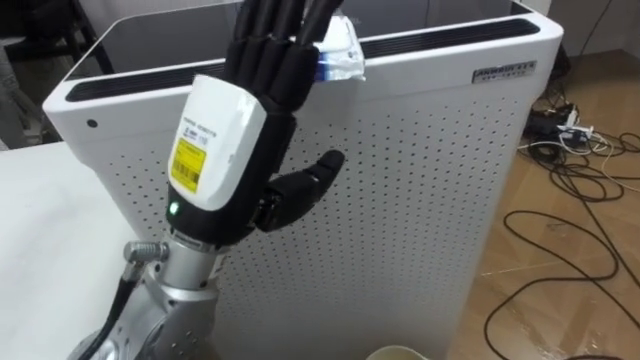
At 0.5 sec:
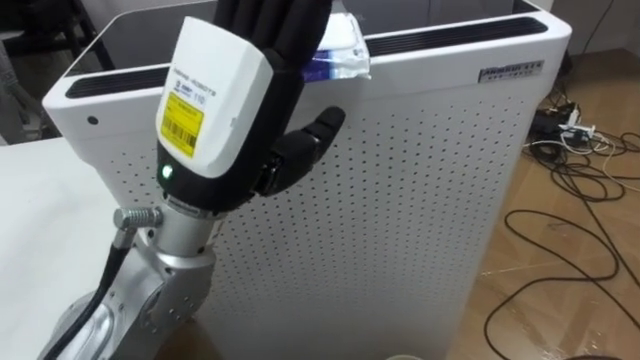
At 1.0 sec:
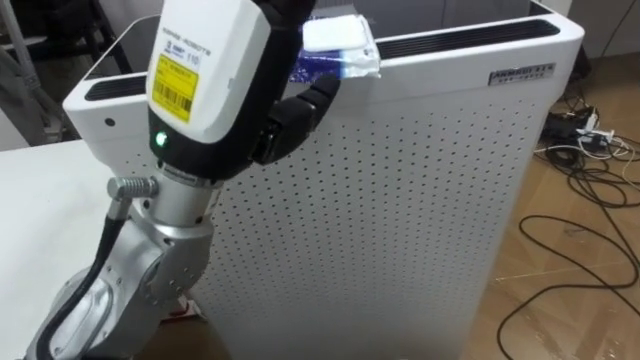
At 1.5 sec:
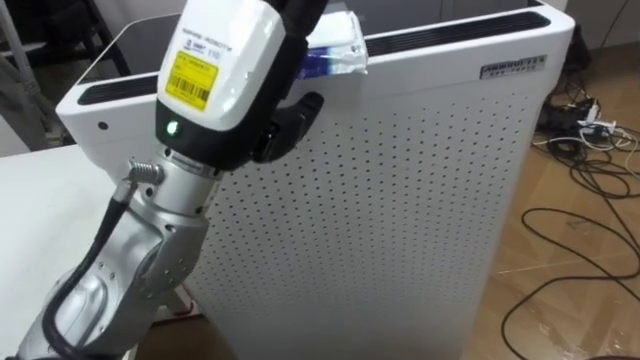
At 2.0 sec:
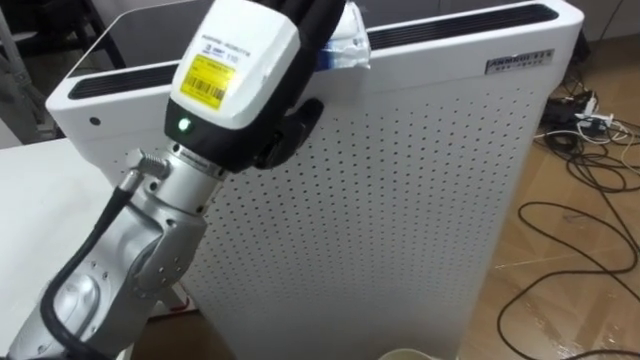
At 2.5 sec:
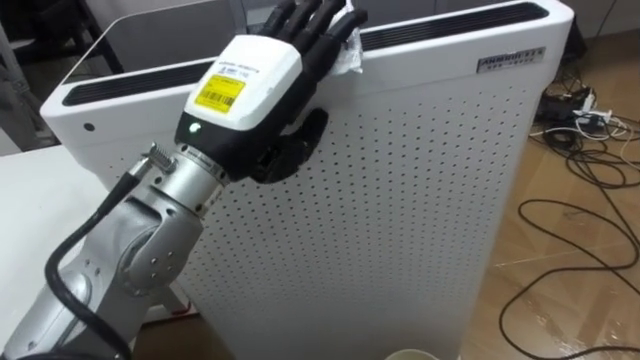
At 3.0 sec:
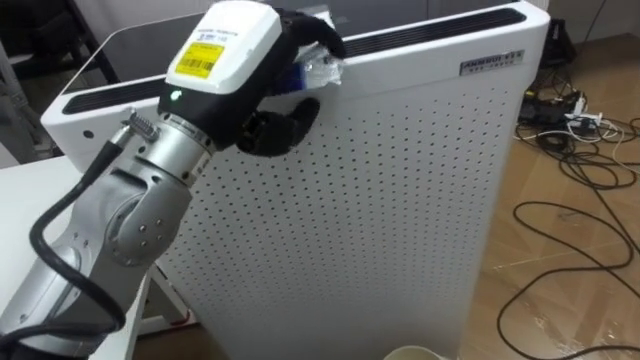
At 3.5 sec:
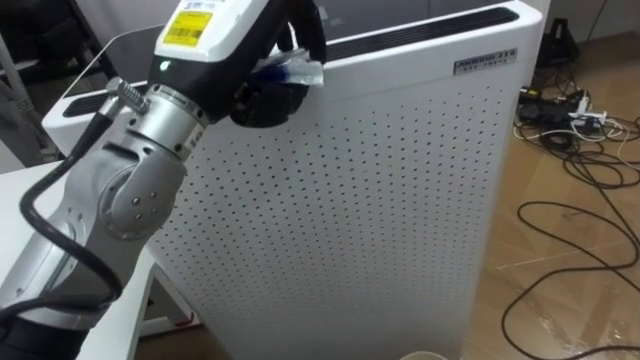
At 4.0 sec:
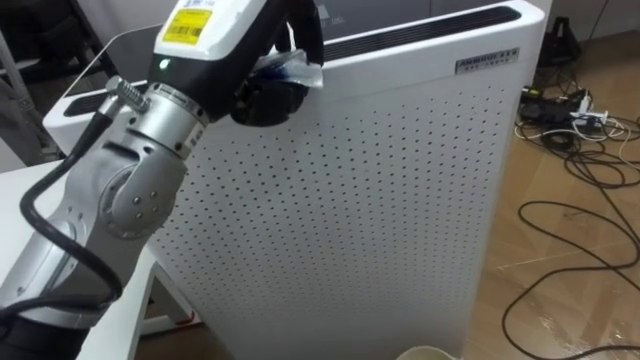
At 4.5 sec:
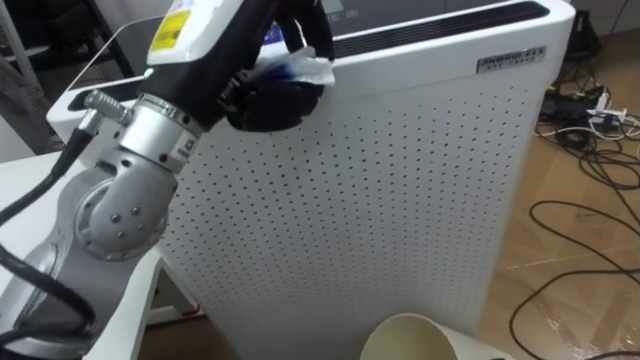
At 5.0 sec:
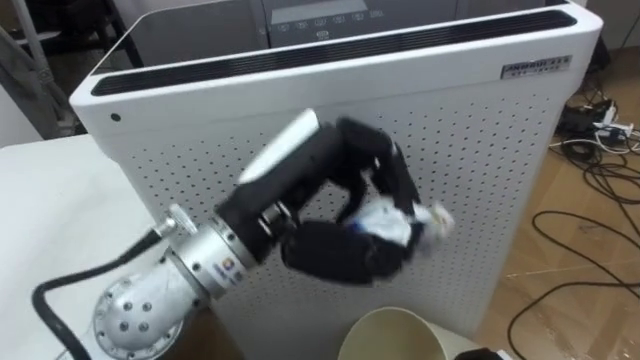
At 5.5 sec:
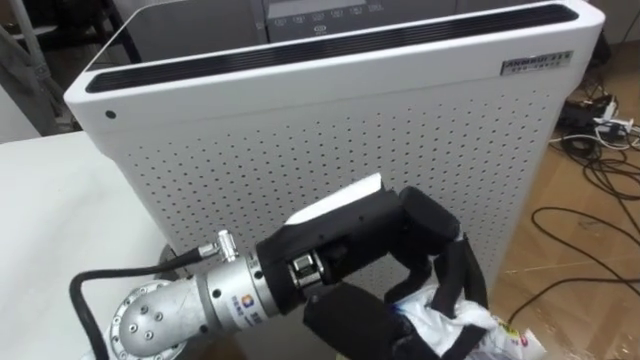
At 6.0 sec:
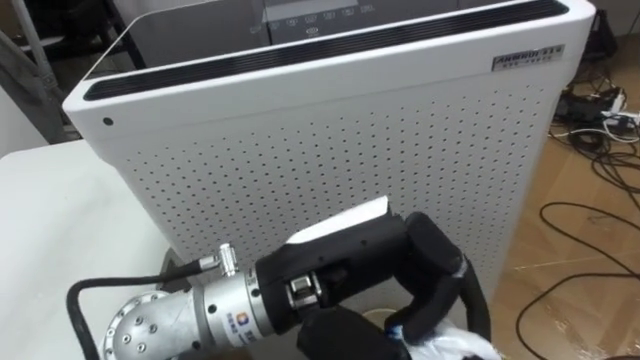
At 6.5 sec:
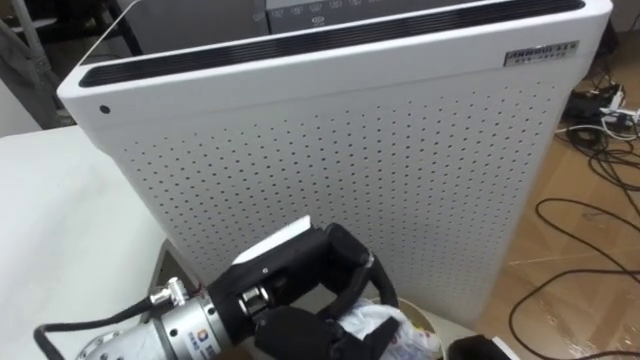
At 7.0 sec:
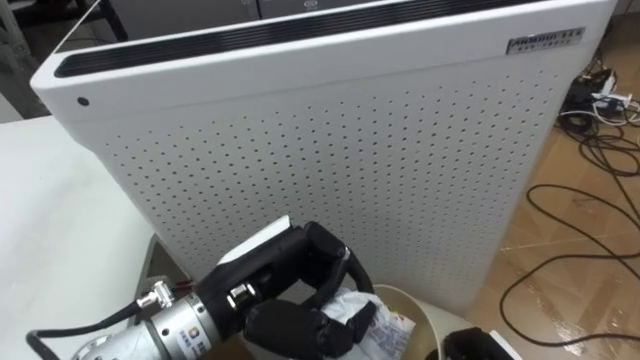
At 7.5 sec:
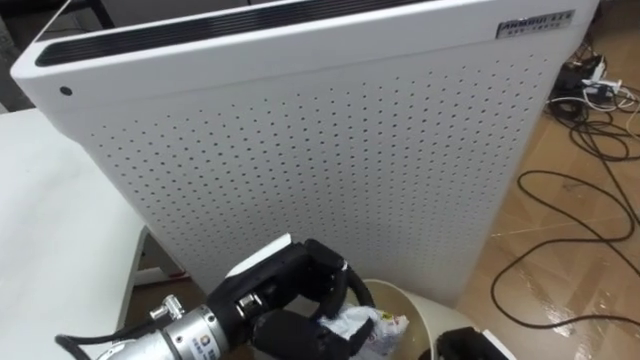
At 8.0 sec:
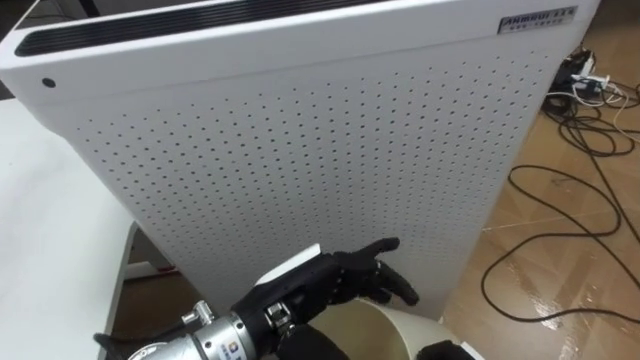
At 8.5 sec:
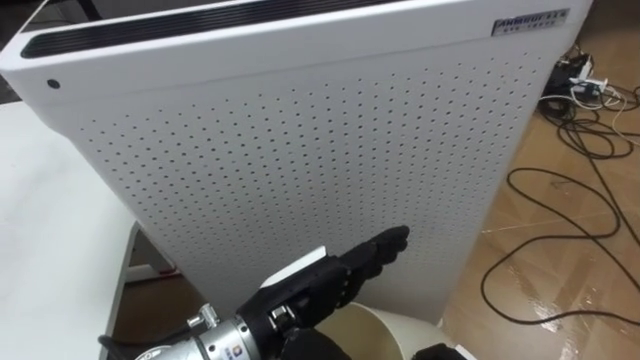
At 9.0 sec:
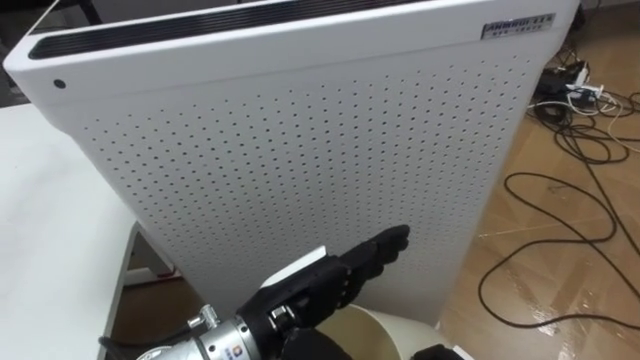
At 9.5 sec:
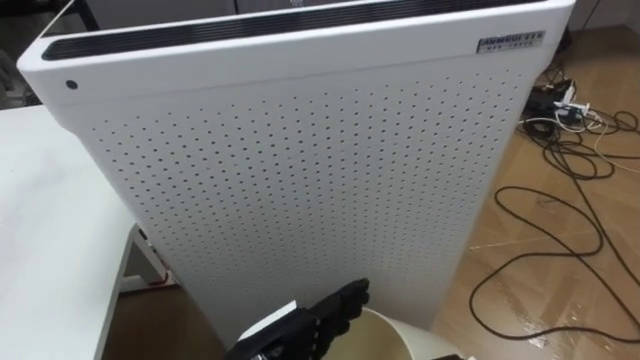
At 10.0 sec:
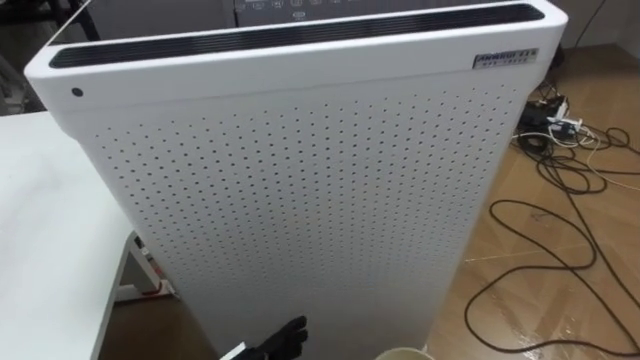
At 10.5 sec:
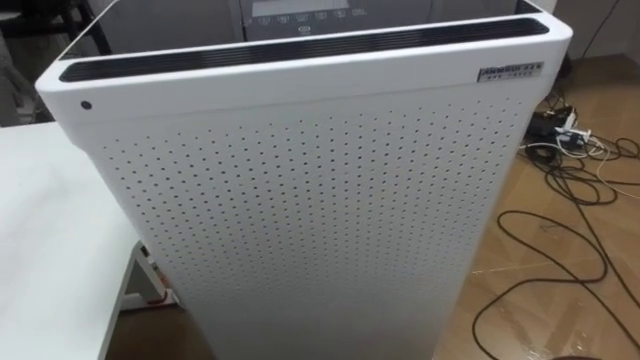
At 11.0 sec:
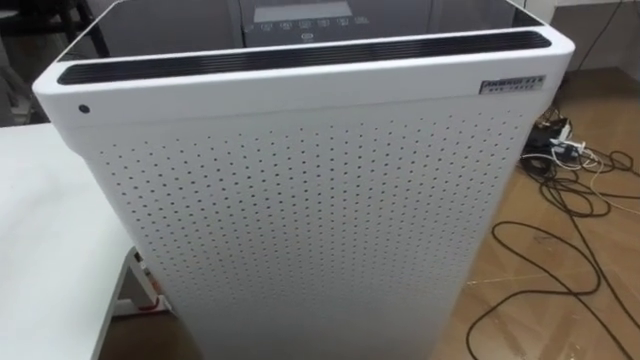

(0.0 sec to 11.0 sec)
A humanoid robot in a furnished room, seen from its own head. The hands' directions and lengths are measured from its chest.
Task of the whole recording: Pick up the light blue package, the candy box, and the dark blue package separately, and put them into the trash can held in your right hand.
0.0 sec - 2.0 sec: The left hand changes place by some 5 cm.
2.0 sec - 3.5 sec: The left hand closes its fingers.
3.5 sec - 5.5 sec: The left hand shifts roughly 15 cm backward, downward and to the right.
5.5 sec - 7.5 sec: The left hand heads downward and to the left, covering some 15 cm.
7.5 sec - 9.0 sec: The left hand opens its fingers.

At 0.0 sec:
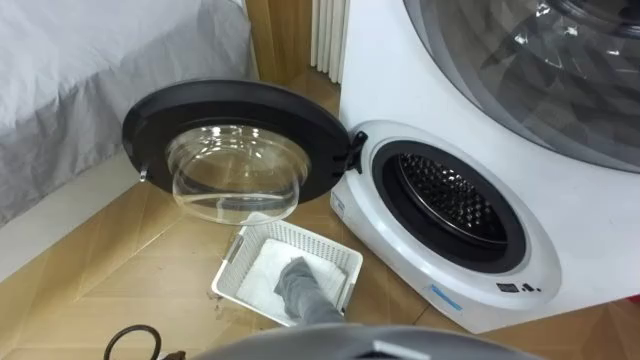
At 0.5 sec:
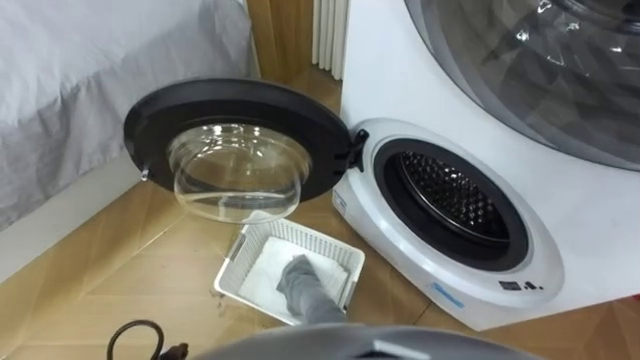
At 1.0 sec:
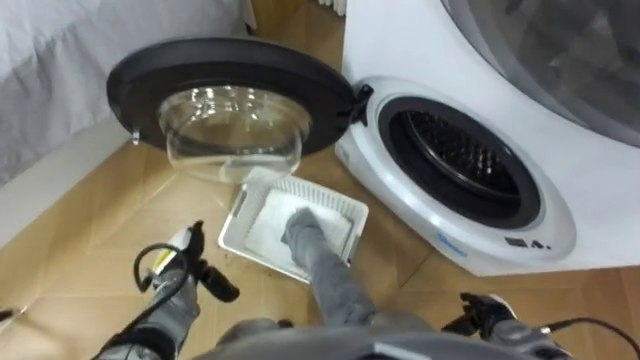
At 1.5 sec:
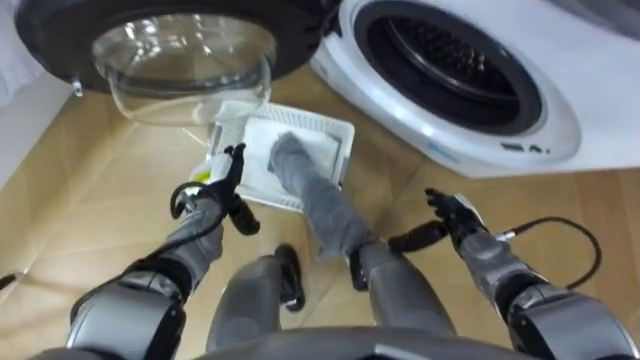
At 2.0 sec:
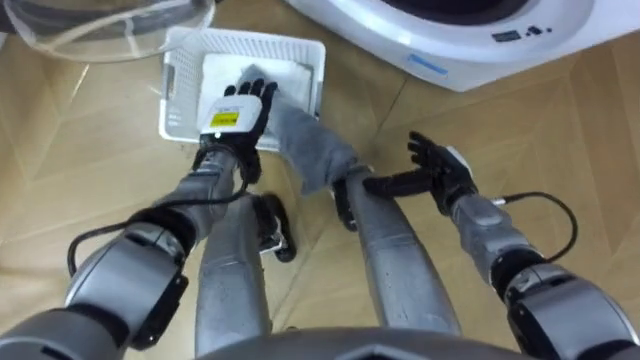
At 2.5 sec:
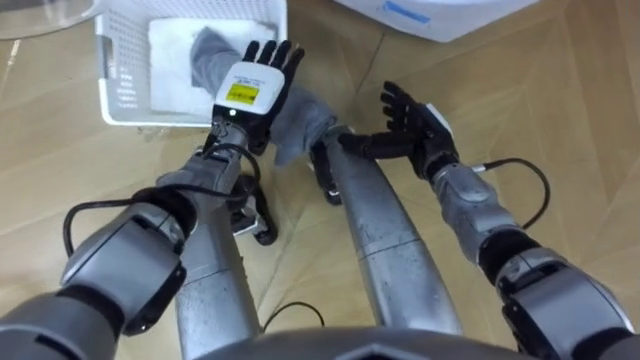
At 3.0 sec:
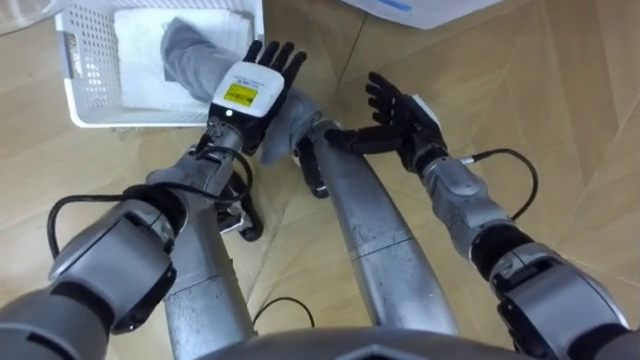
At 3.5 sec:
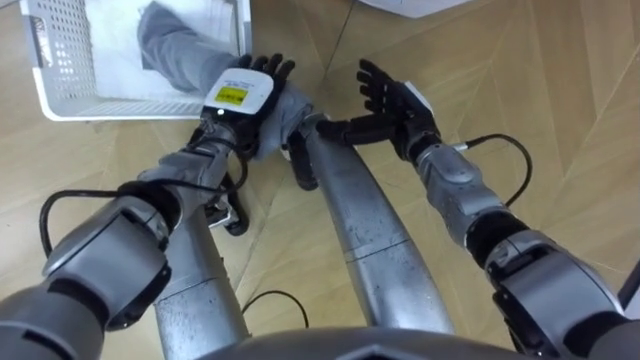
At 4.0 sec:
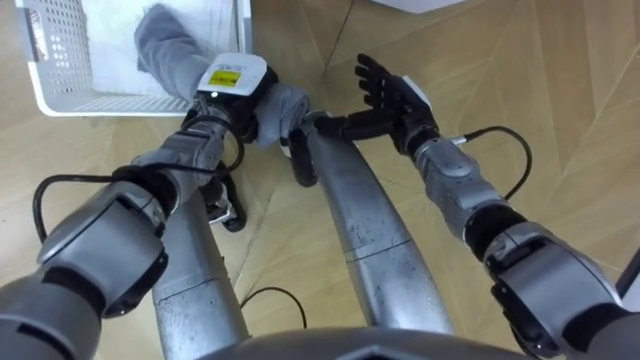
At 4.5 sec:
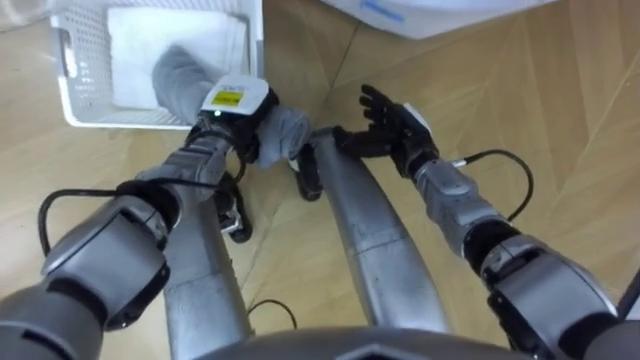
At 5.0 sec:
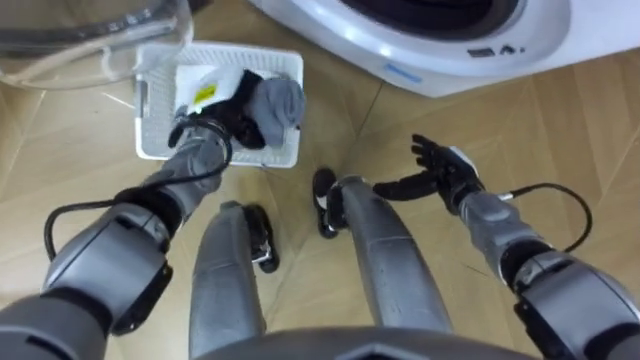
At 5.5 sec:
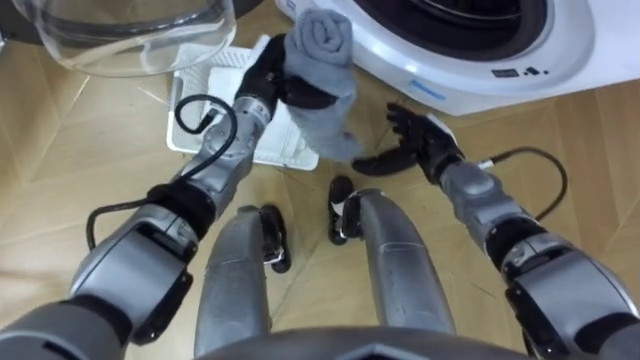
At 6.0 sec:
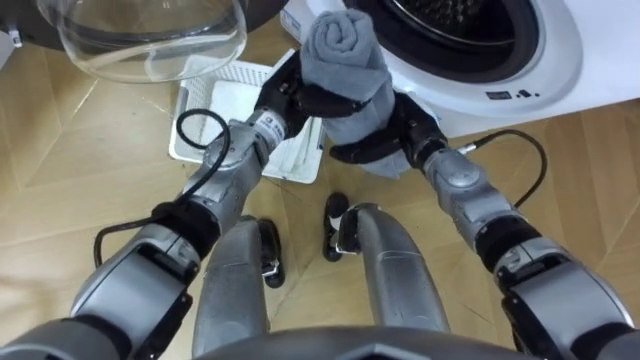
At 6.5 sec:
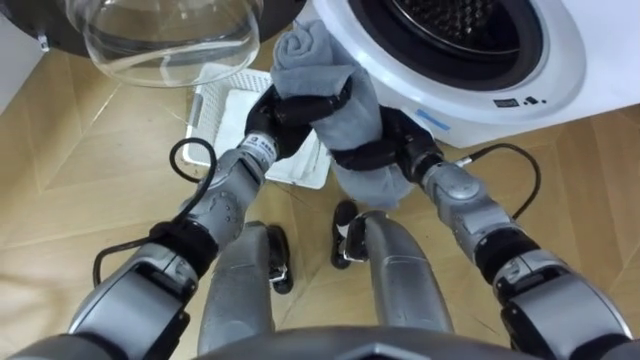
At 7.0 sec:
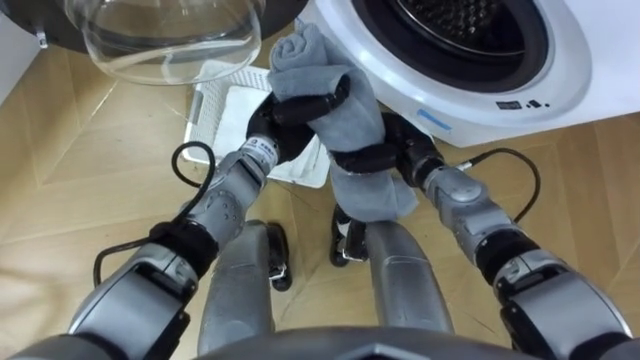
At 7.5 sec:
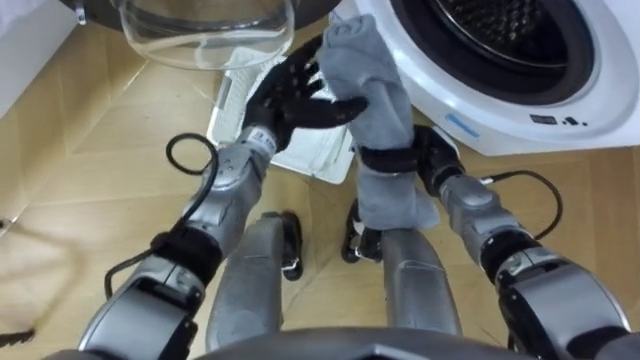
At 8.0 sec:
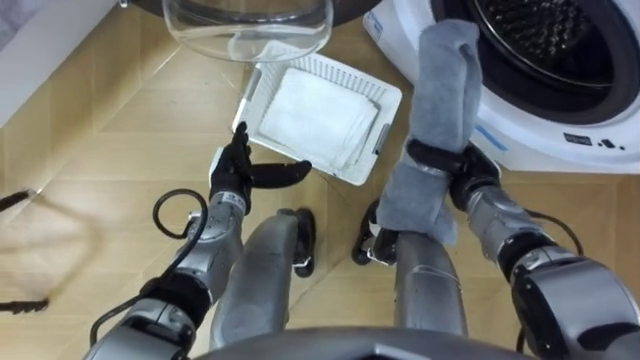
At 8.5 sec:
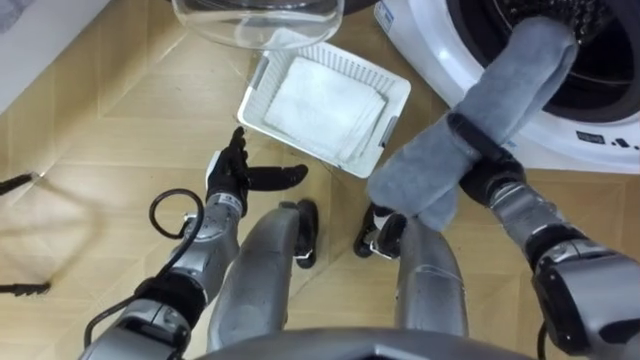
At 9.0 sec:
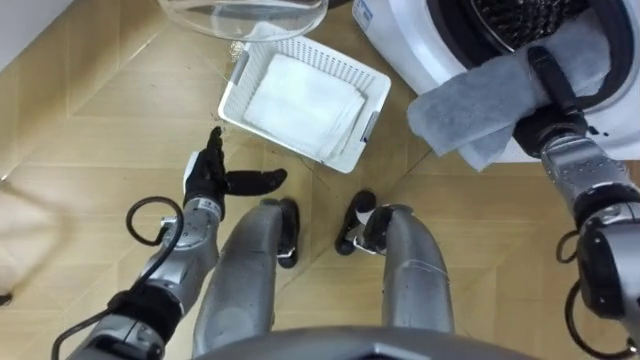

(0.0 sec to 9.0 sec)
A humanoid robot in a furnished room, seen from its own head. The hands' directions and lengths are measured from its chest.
Task of the whole recording: Take the towel from the basket and put it into the washing machine.
2.0 sec - 4.5 sec: The left hand closes. Meanwhile the right hand shifts some 10 cm to the left and upward.
4.5 sec - 7.0 sec: The left hand shifts roughly 5 cm to the right; the right hand reaches approximately 10 cm to the right, then returns, and closes up.
7.0 sec - 9.0 sec: The right hand heads to the right, covering about 20 cm. Meanwhile the left hand is displaced to the left, downward and backward by some 15 cm, and opens its fingers.
